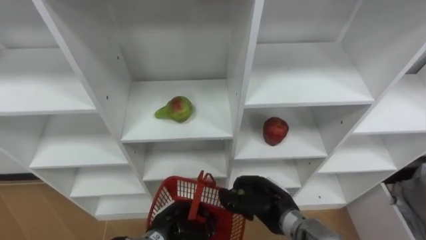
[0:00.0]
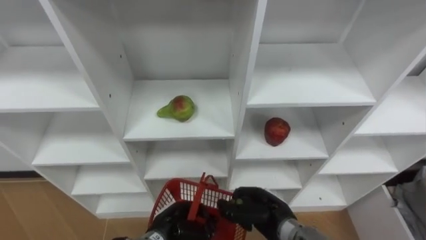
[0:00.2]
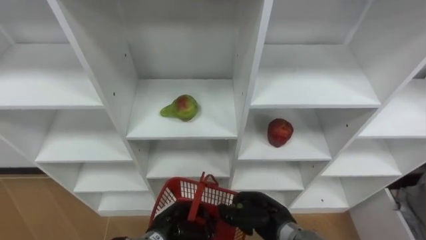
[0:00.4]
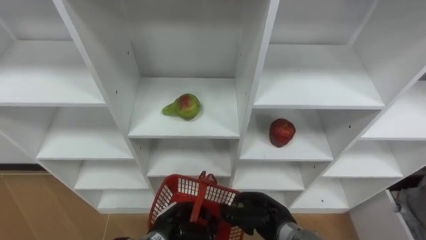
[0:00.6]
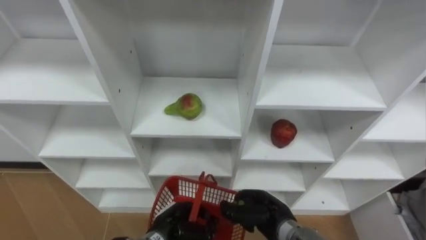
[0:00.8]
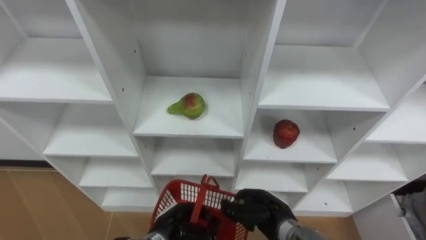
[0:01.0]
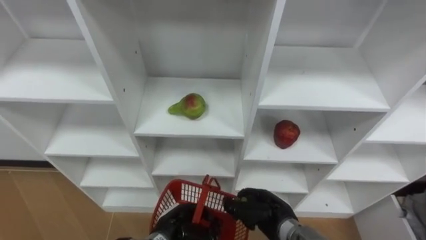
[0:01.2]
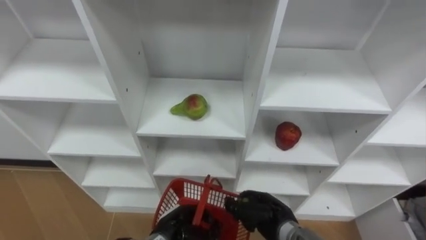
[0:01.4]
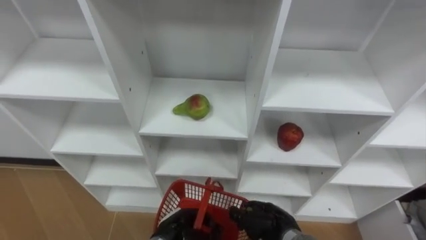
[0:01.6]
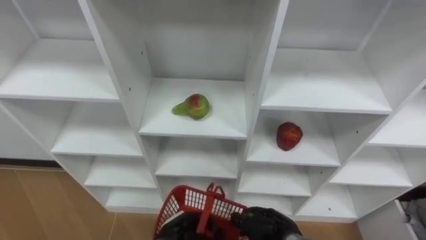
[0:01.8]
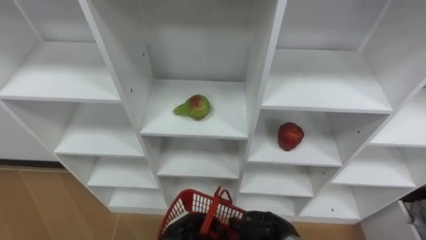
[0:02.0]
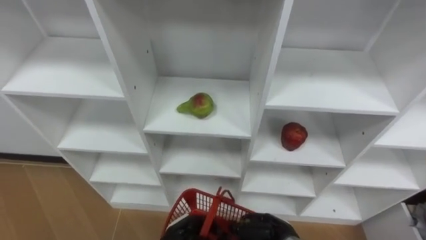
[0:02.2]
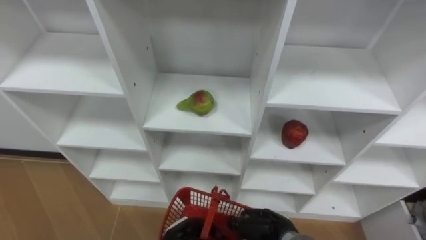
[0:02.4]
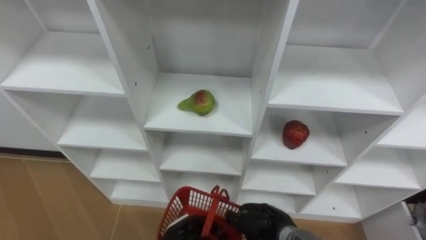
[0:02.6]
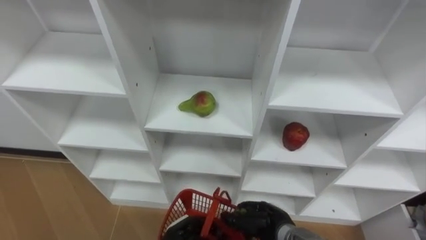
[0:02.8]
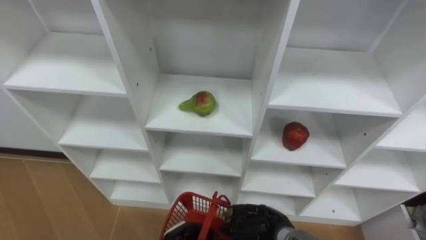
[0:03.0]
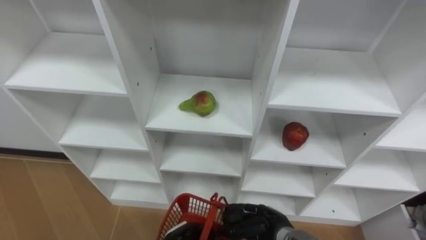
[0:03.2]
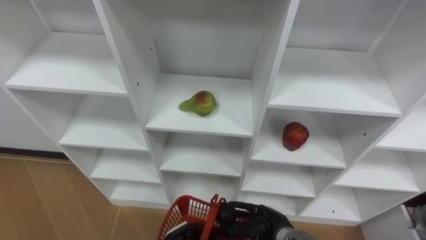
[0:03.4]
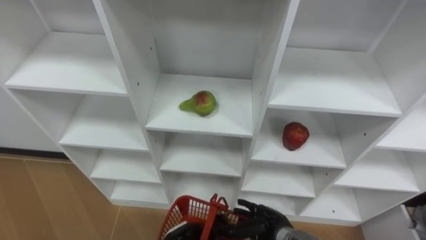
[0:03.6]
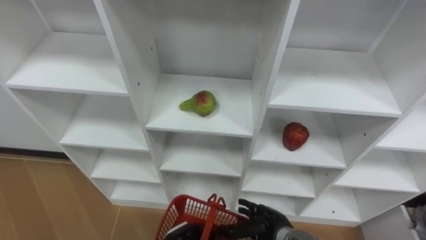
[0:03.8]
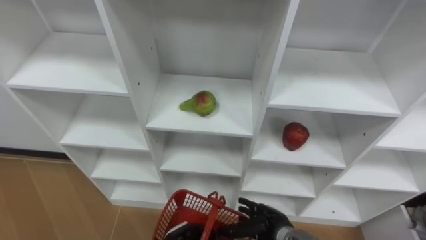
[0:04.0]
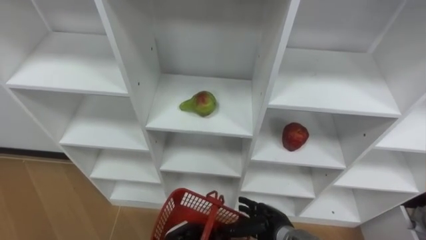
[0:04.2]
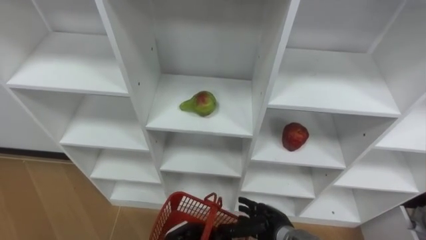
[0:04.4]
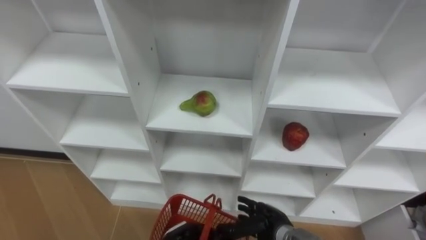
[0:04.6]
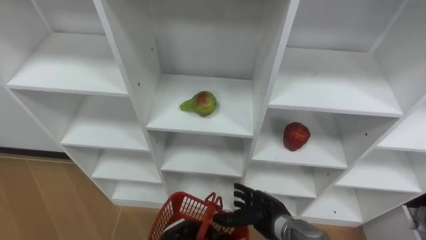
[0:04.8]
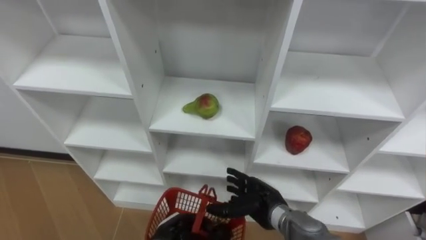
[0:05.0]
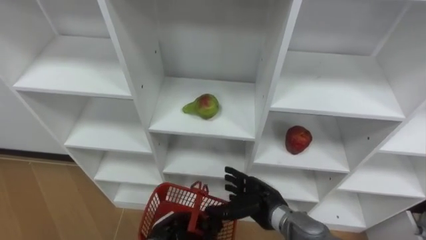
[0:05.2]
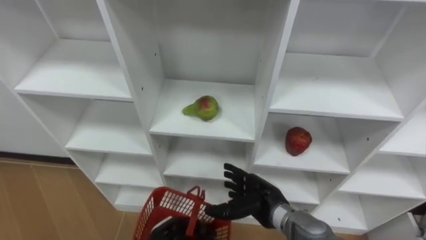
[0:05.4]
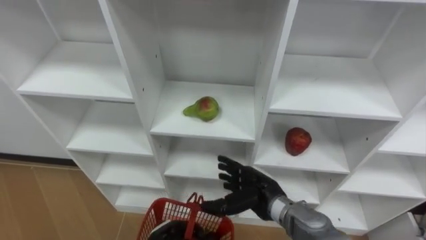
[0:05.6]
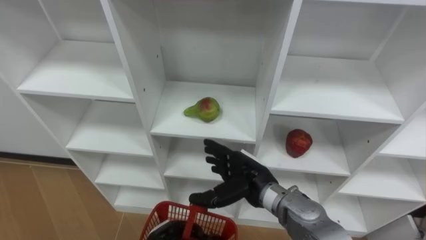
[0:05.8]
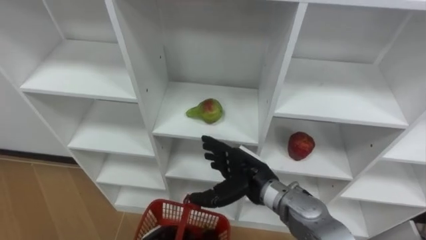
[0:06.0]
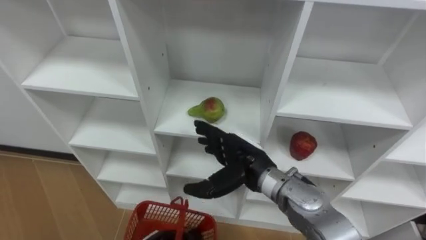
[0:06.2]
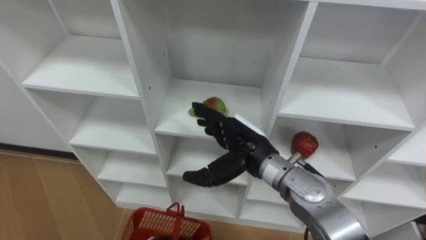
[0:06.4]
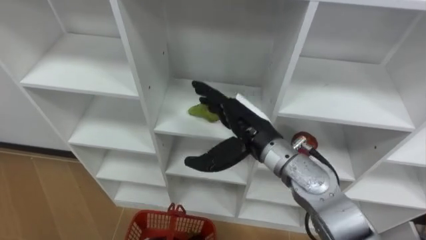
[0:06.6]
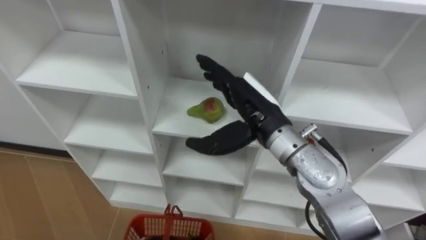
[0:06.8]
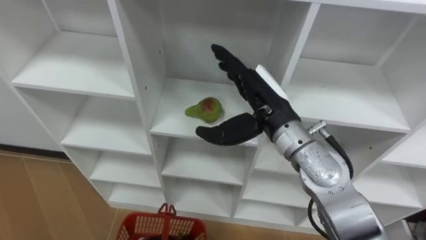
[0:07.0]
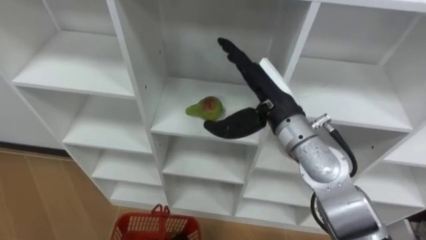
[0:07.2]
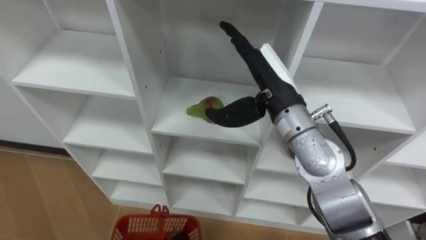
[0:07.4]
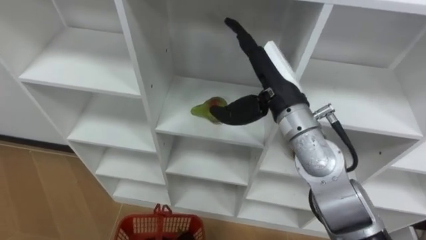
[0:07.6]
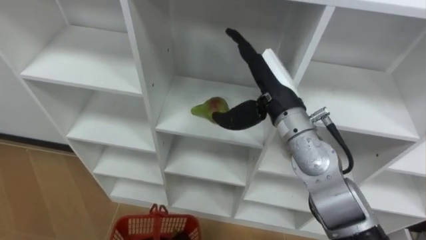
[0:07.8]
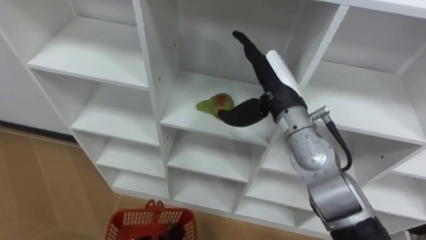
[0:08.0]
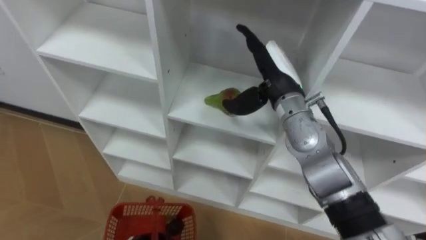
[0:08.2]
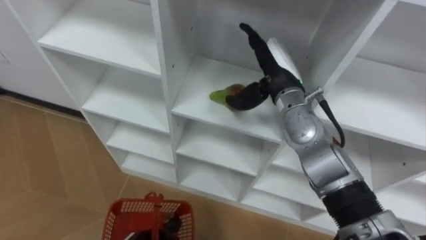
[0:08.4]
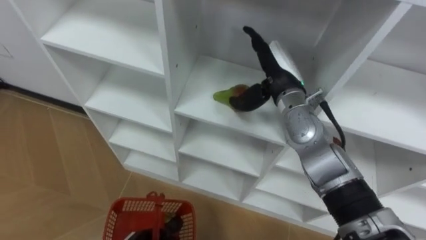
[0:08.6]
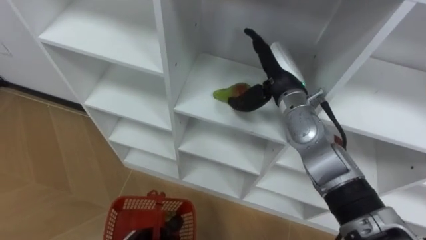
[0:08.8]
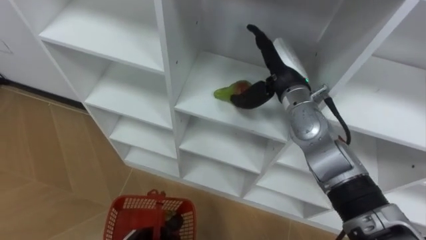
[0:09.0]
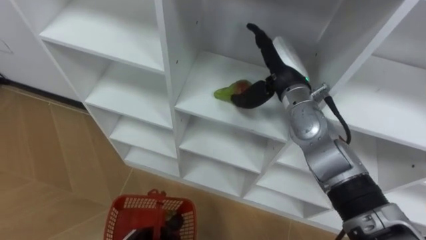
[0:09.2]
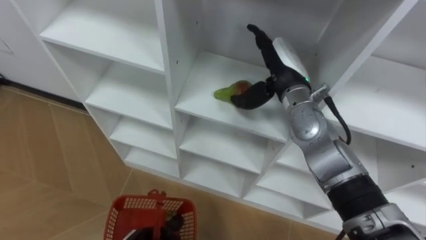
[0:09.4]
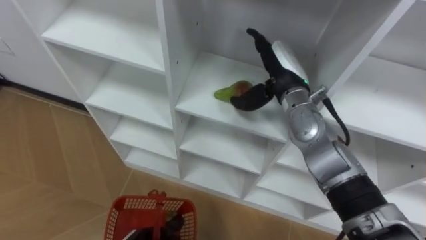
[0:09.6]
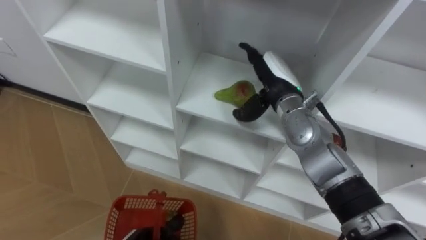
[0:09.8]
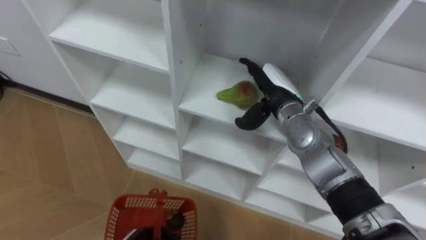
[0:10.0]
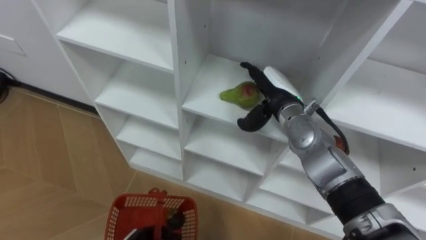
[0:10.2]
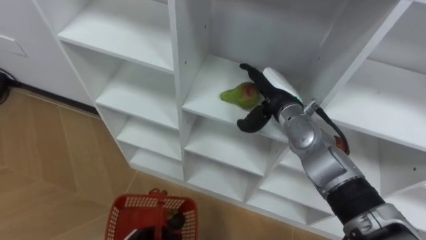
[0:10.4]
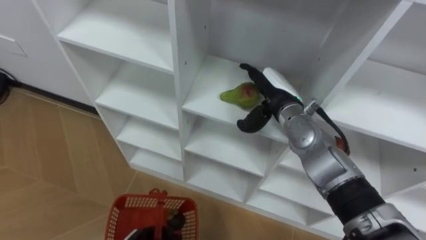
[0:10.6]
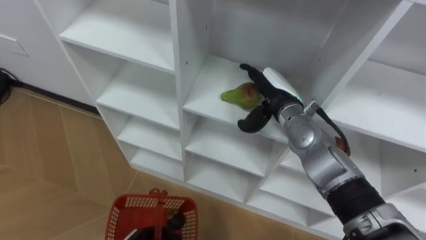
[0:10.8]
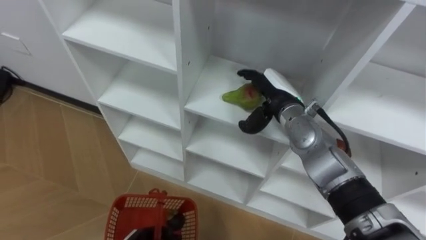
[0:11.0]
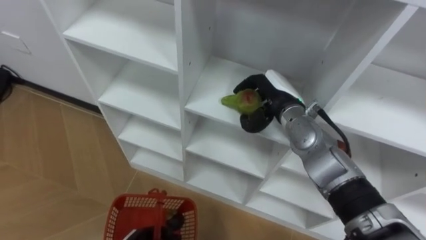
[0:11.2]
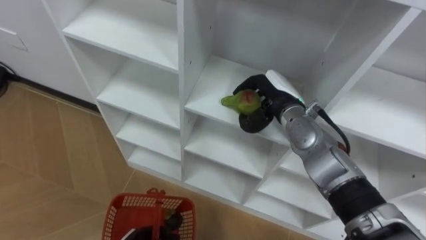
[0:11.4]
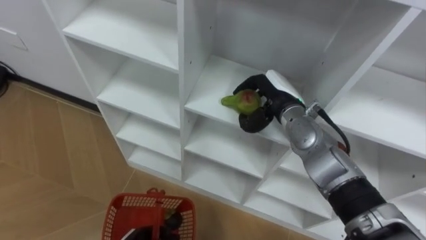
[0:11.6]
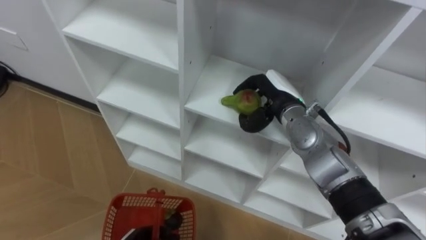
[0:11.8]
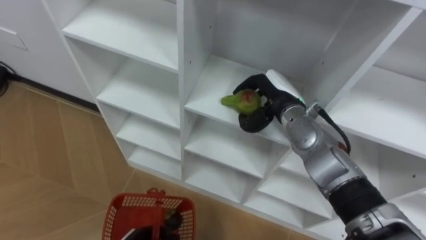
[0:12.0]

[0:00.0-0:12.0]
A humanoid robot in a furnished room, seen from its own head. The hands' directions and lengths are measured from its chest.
Task of the whole recording: Hold the basket and collect the fruits from 3 different cells of the closet into it.
0:00.0 to 0:01.6: The right hand travels downward by some 5 cm.
0:01.6 to 0:03.0: The hands stay close to where they were, moving slightly.
0:03.0 to 0:04.4: The right hand opens up.
0:04.4 to 0:06.0: The right hand is displaced upward and forward by approximately 15 cm.
0:06.0 to 0:07.6: The right hand heads upward, covering about 20 cm.
0:07.6 to 0:09.0: The right hand heads forward, covering approximately 5 cm.
0:09.0 to 0:10.4: The right hand goes approximately 5 cm downward.
0:10.4 to 0:12.0: The right hand closes its fingers.

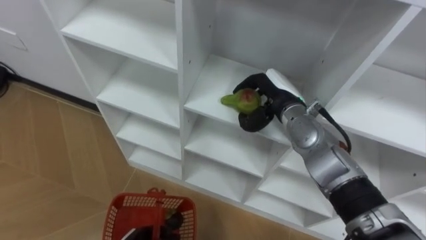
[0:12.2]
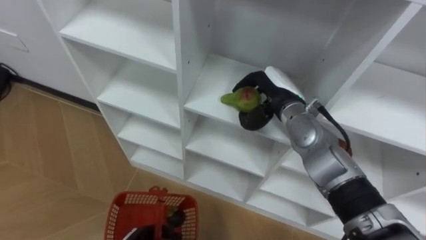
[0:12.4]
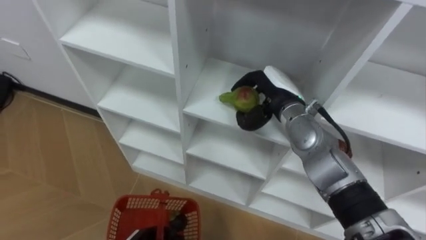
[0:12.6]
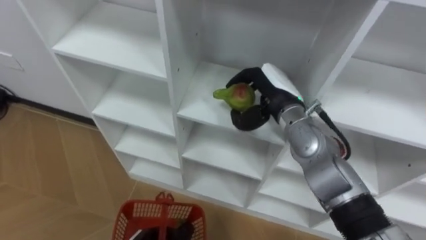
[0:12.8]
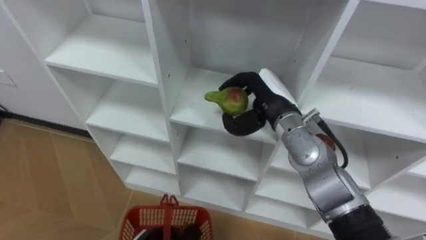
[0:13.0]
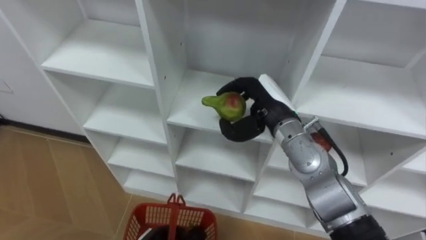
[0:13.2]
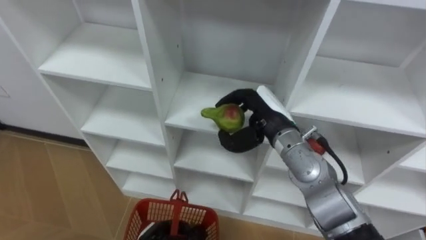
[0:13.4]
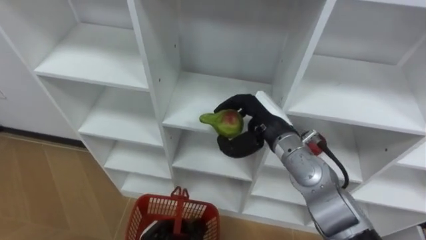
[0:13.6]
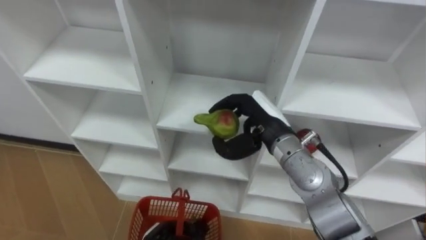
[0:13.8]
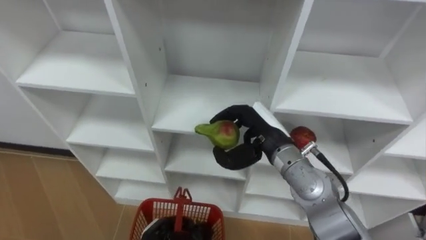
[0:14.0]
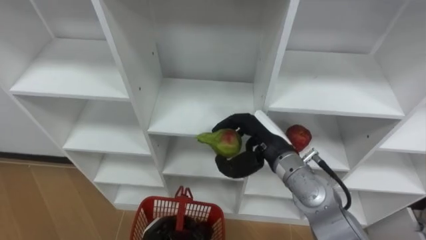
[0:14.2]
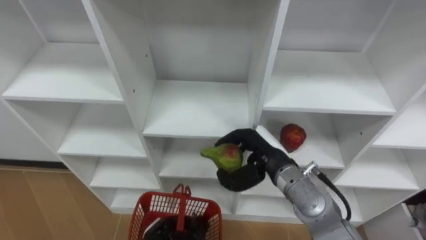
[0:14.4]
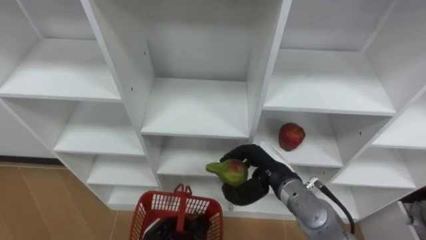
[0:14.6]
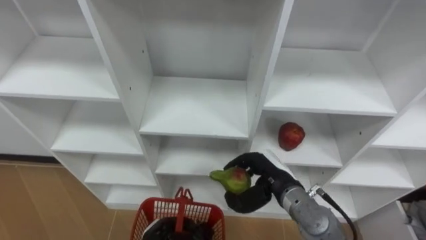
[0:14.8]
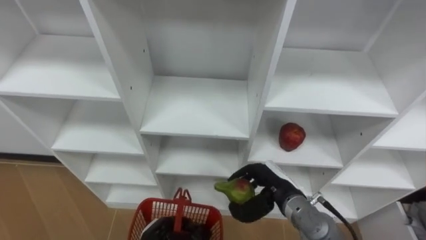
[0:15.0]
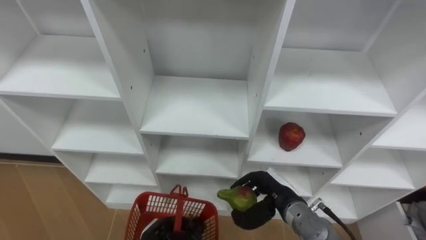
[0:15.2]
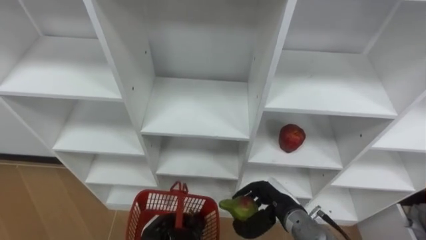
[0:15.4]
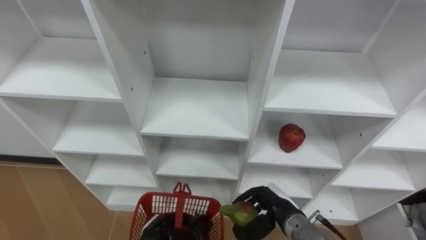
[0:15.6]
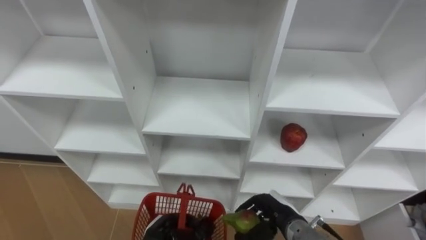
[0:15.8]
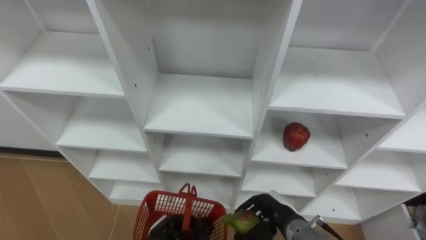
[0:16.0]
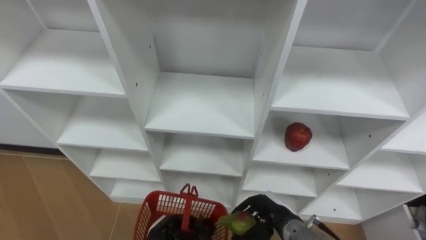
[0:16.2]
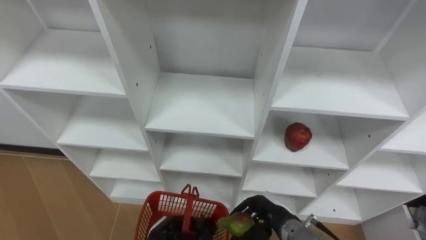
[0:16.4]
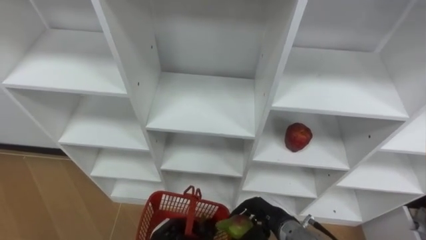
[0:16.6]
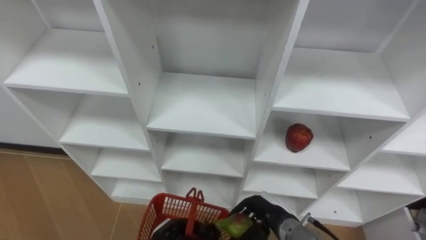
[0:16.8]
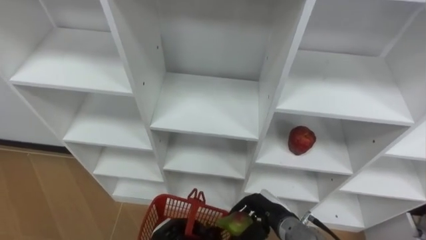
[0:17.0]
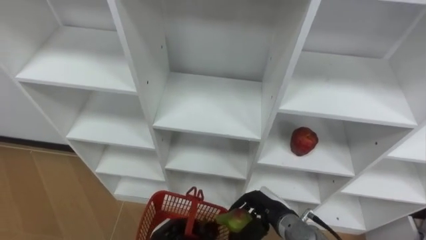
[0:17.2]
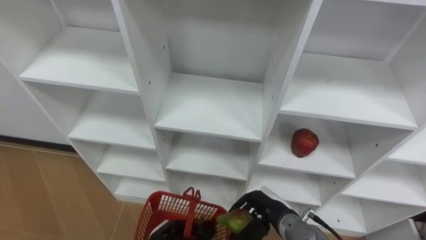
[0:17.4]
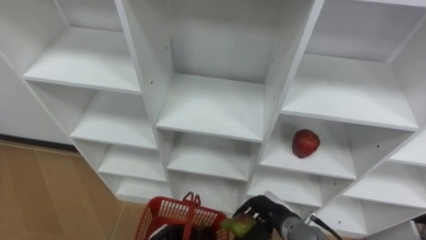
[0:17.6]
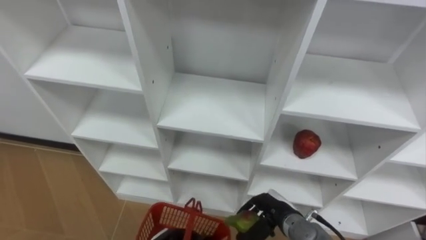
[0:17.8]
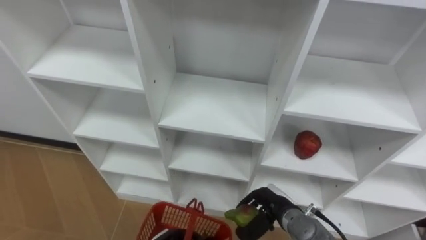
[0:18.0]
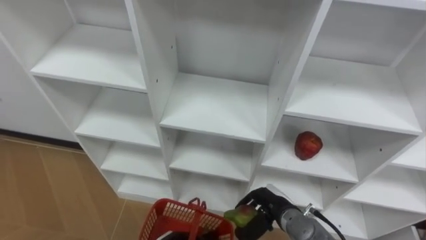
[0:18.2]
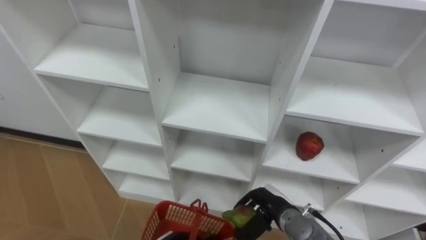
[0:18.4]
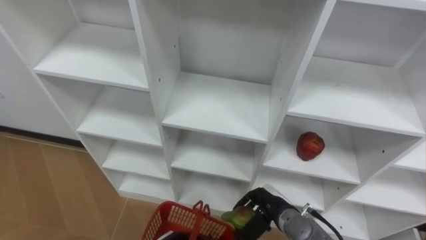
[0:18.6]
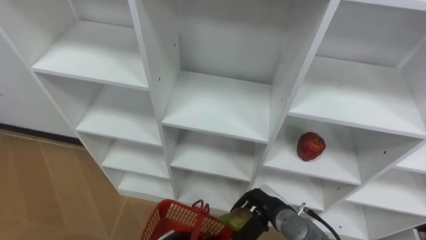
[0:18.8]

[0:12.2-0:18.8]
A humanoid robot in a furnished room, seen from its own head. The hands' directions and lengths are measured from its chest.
Task of the whole recording: Hold the basket and collect the fruits from 3 different cells of the closet into it.
0:12.2 to 0:13.8: The right hand shifts approximately 5 cm backward.
0:13.8 to 0:15.4: The right hand goes some 20 cm downward and backward.
